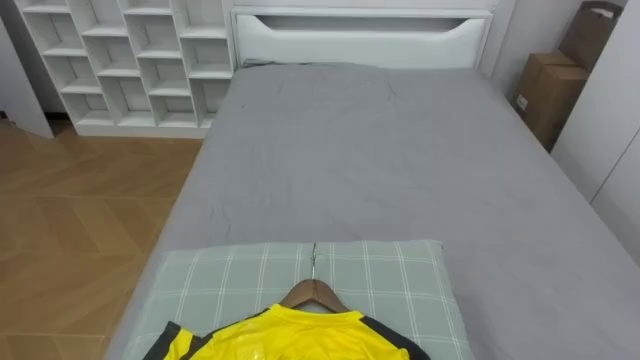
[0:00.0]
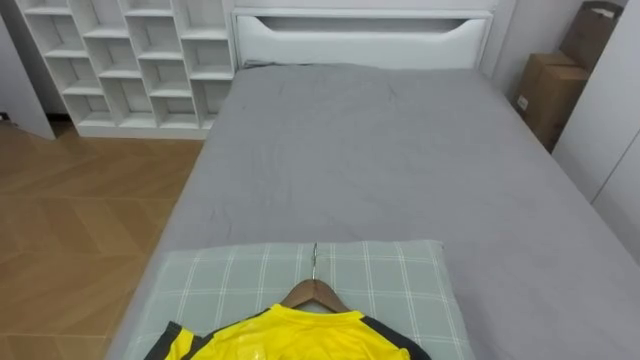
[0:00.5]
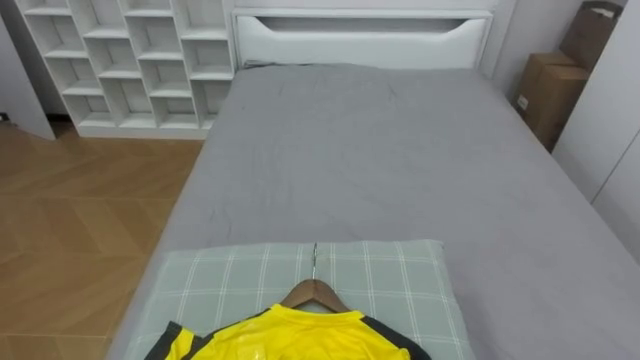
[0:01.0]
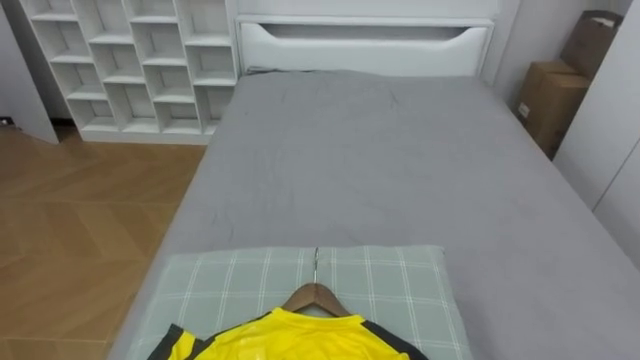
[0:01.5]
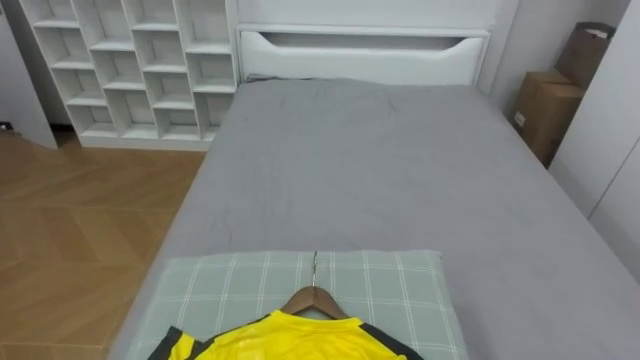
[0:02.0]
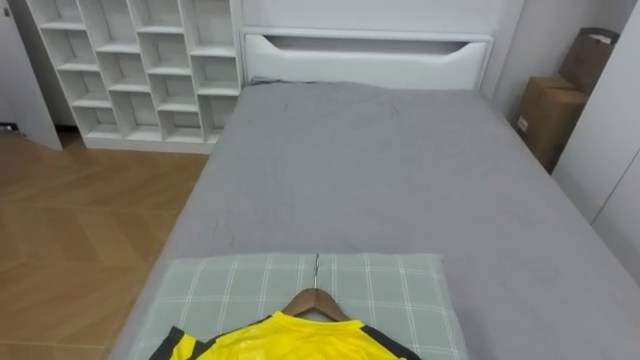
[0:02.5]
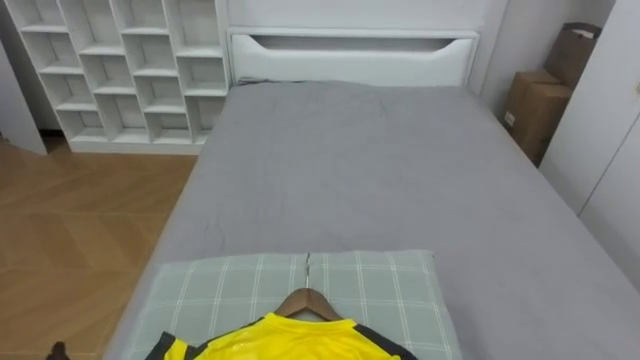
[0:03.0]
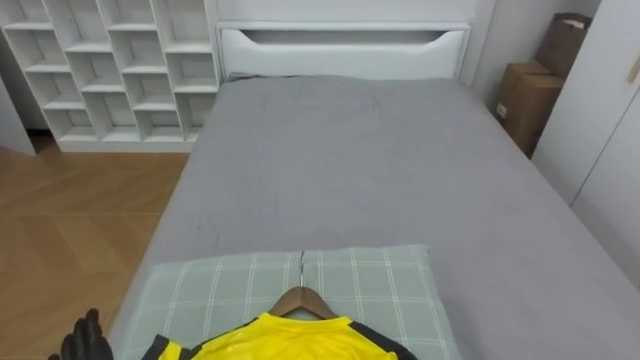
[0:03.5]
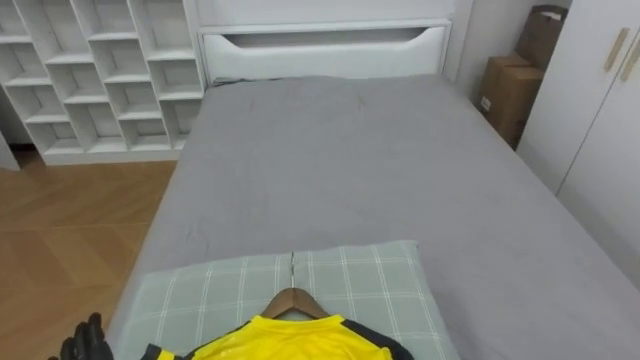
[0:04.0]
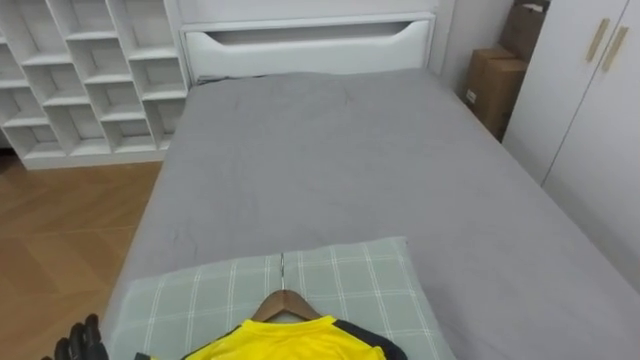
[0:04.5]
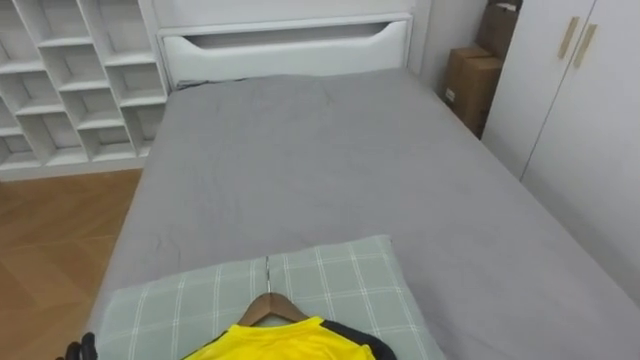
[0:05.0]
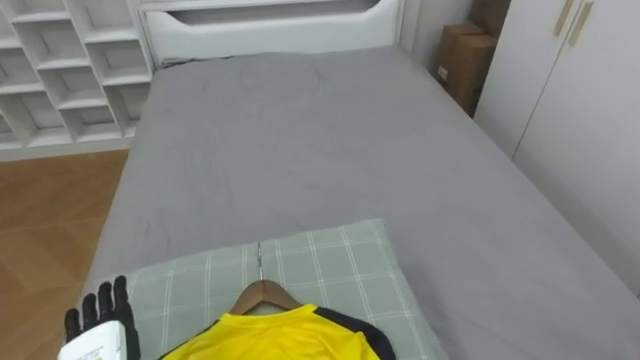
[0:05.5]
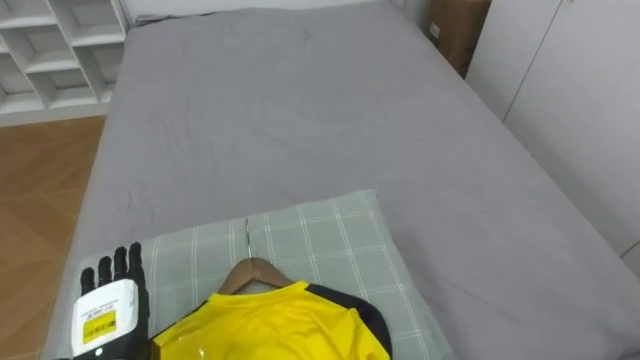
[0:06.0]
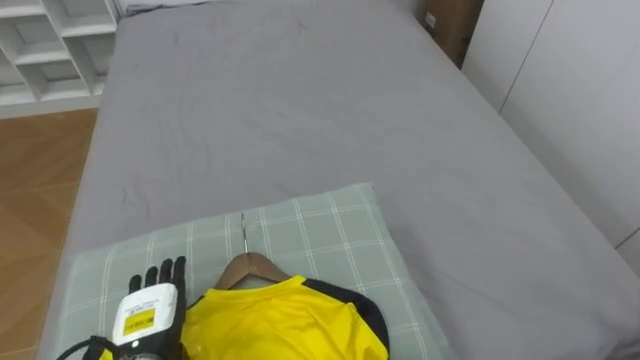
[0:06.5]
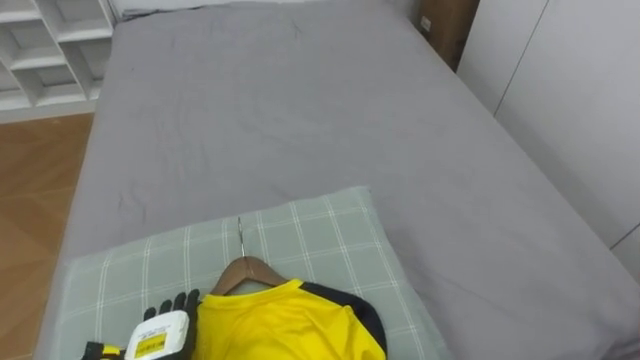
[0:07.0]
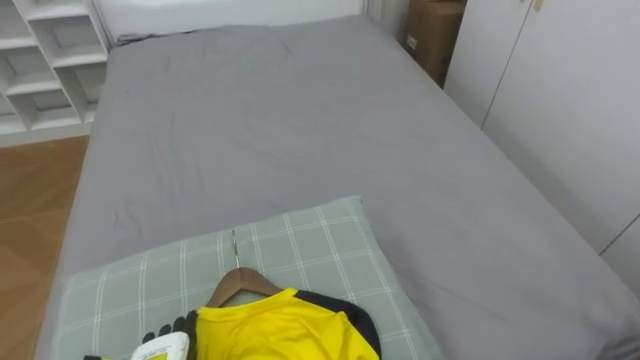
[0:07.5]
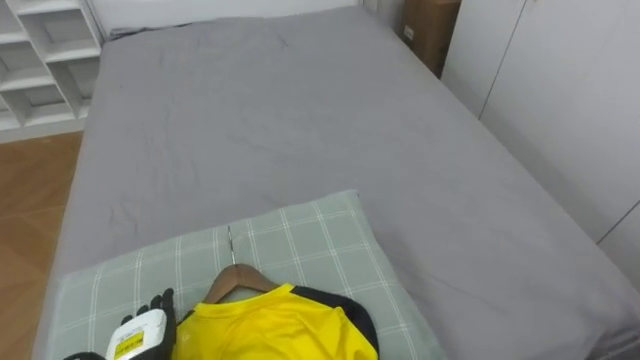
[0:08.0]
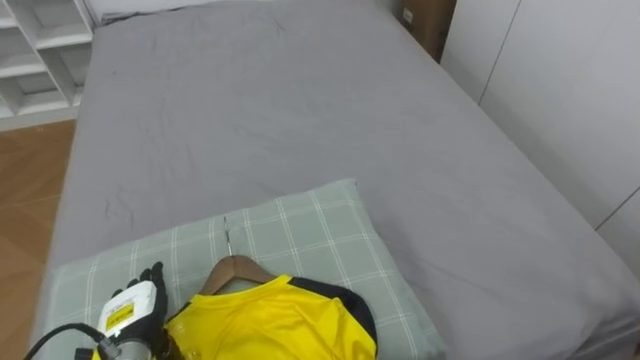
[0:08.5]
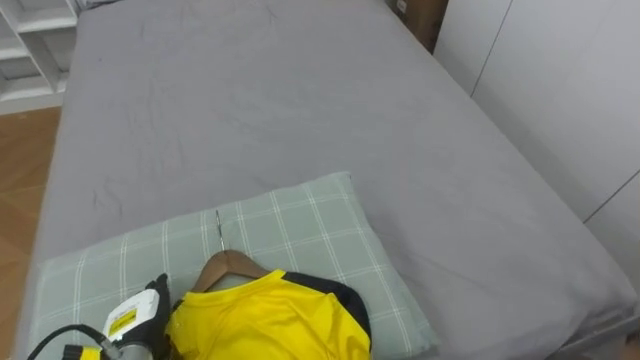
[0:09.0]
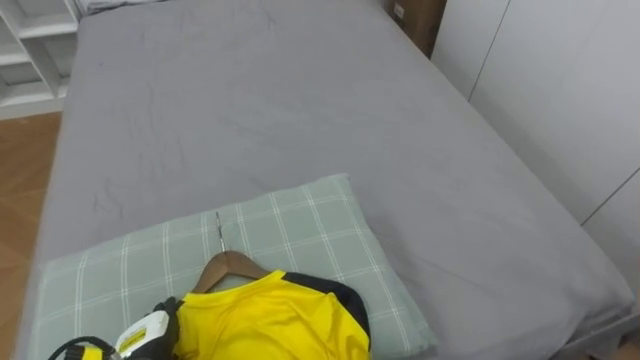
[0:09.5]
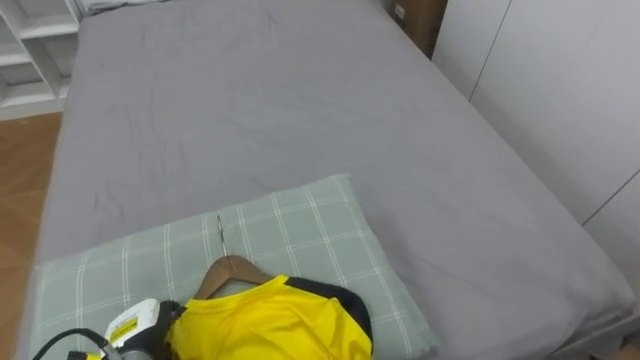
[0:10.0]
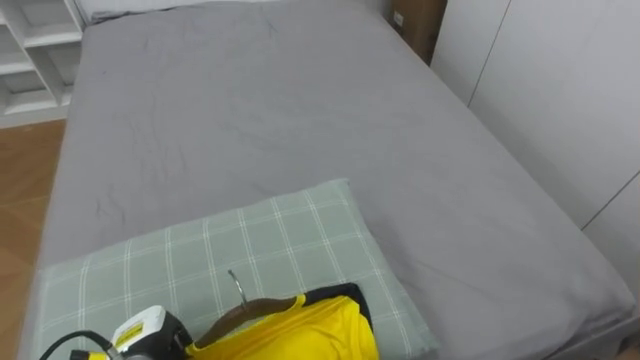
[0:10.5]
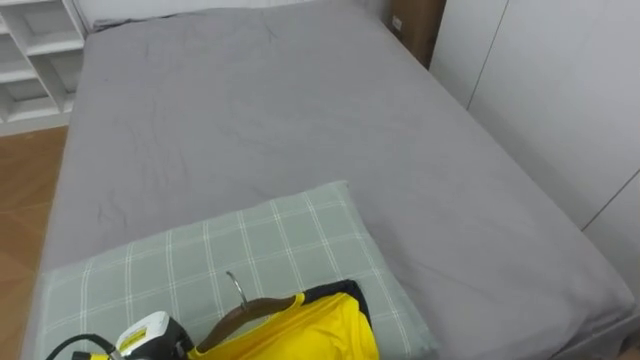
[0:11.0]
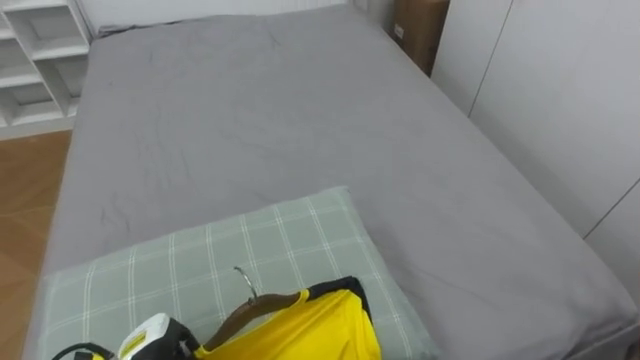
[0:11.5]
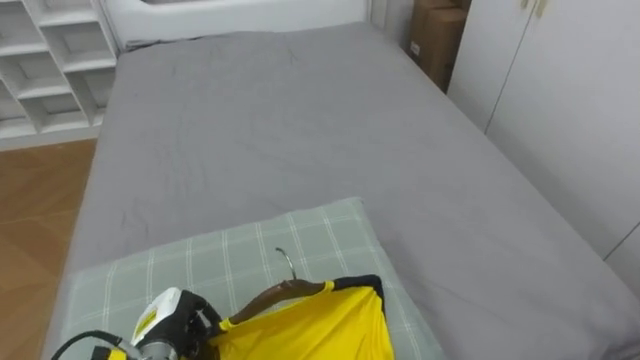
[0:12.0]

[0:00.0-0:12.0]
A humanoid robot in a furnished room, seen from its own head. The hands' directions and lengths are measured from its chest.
Task of the whole recording: Pick up the yellow shirt on the bed and hang it on the clothes rack on the right.
0:06.0 to 0:08.0: The left hand goes approximately 5 cm downward.
0:10.0 to 0:12.0: The left hand closes up.

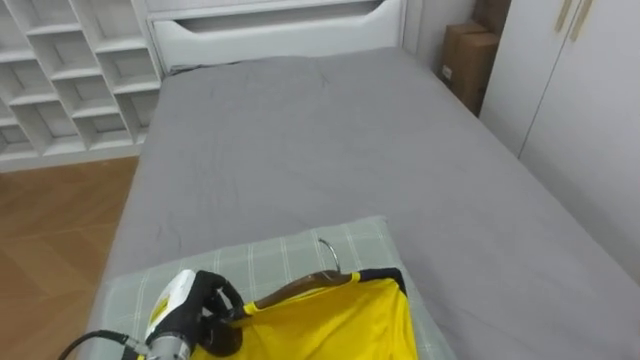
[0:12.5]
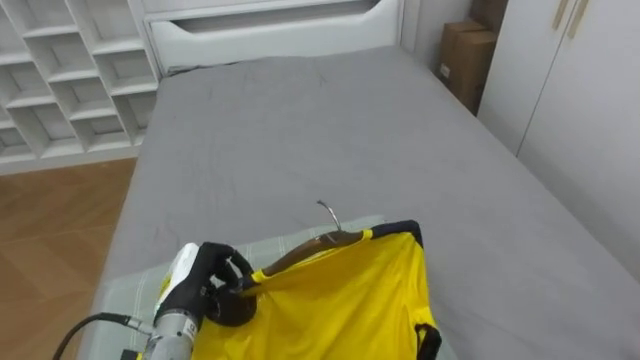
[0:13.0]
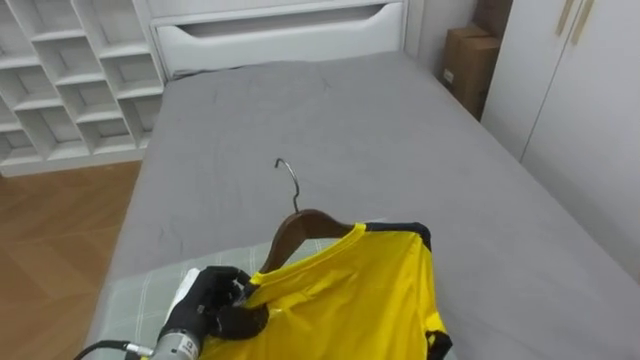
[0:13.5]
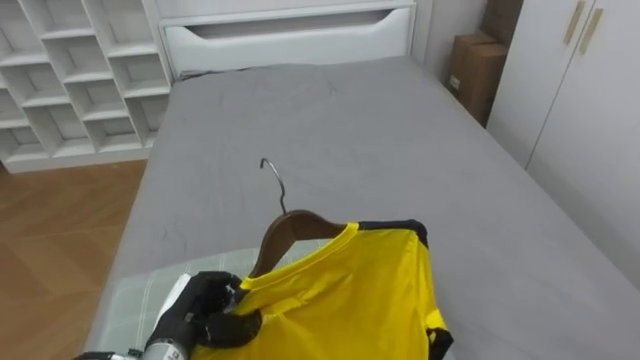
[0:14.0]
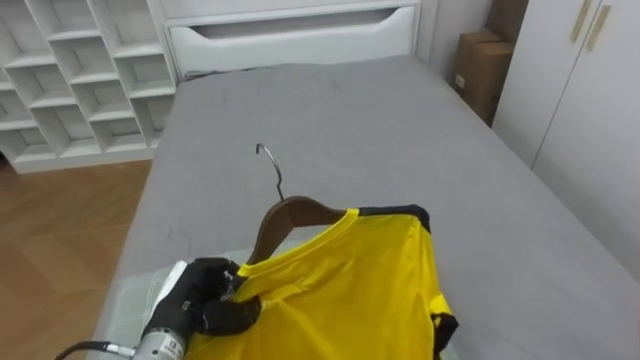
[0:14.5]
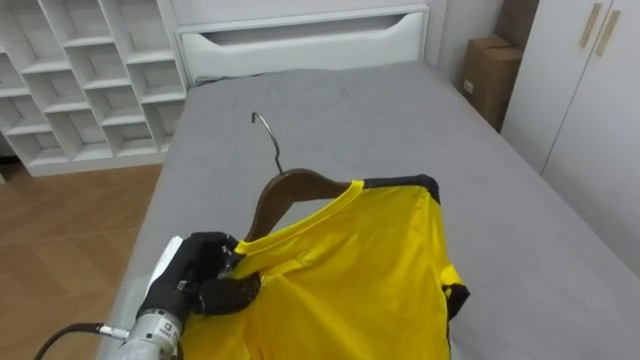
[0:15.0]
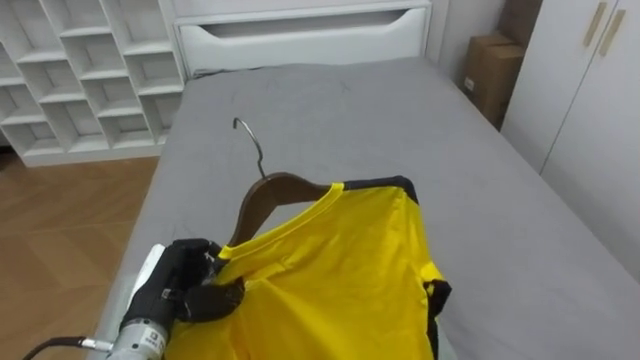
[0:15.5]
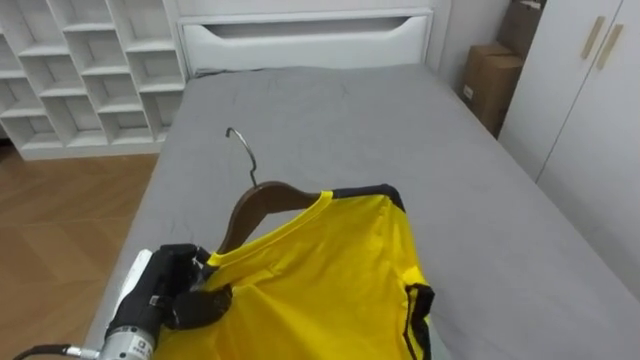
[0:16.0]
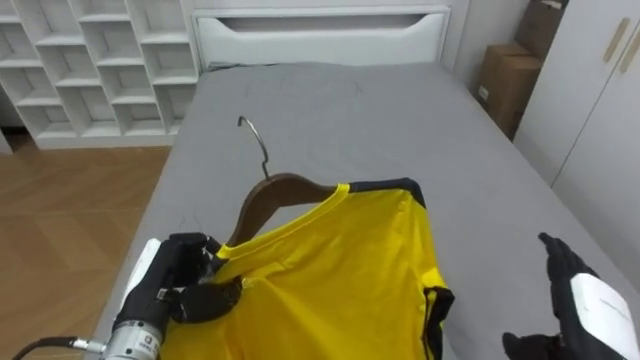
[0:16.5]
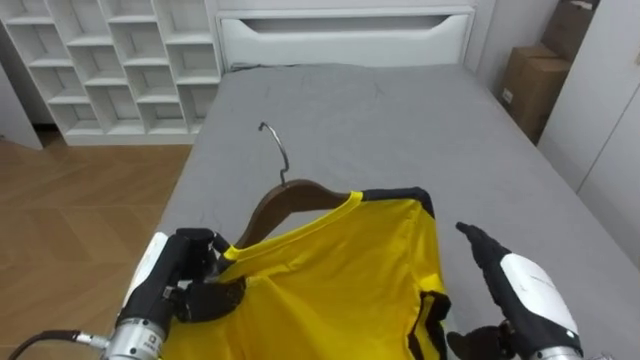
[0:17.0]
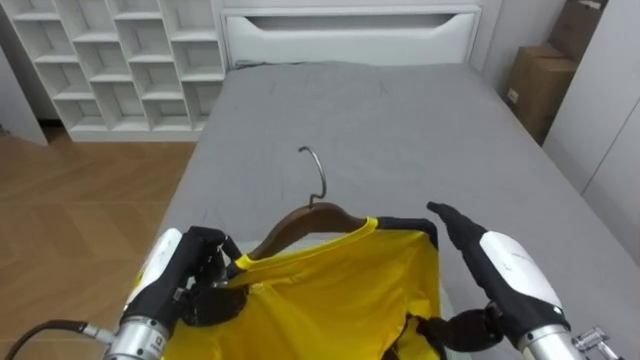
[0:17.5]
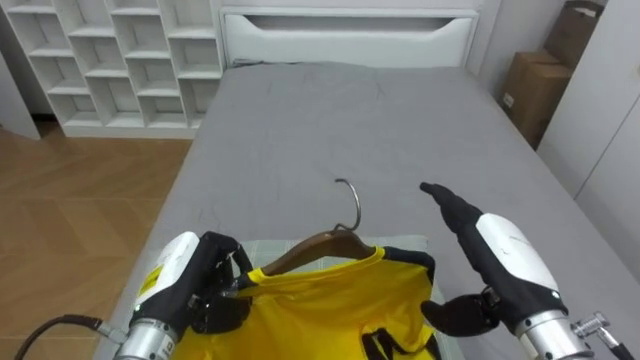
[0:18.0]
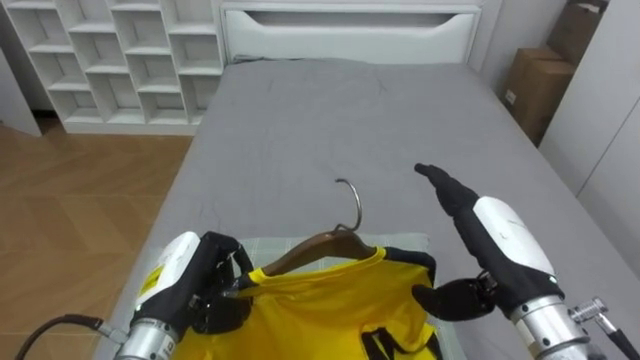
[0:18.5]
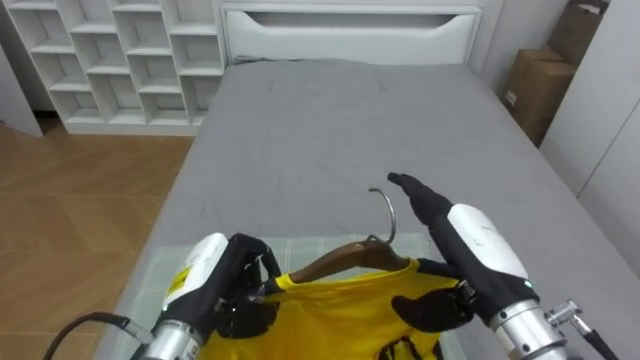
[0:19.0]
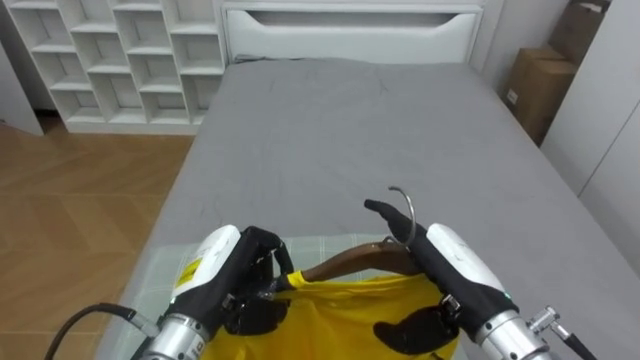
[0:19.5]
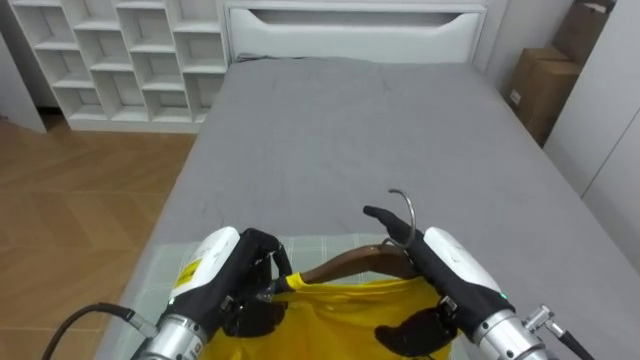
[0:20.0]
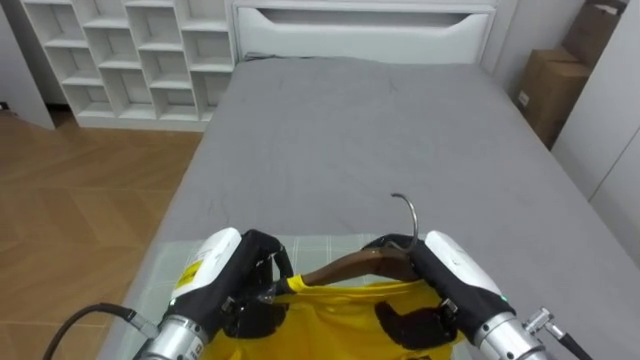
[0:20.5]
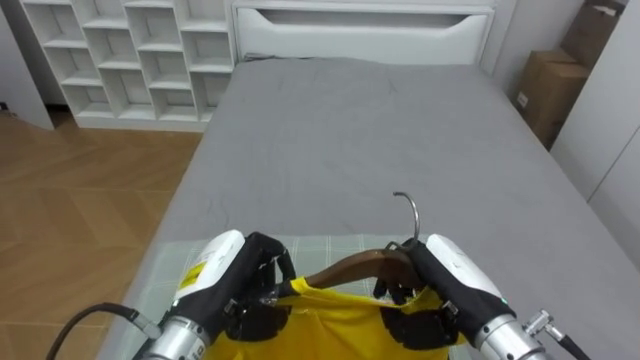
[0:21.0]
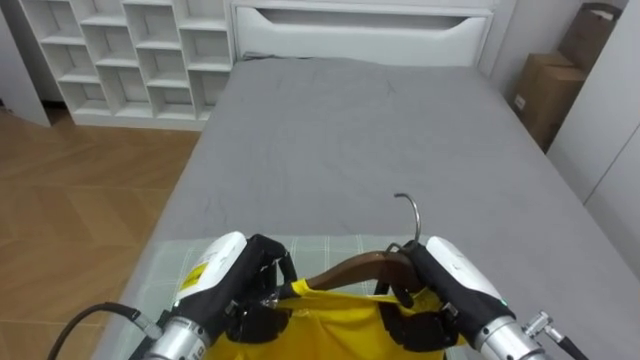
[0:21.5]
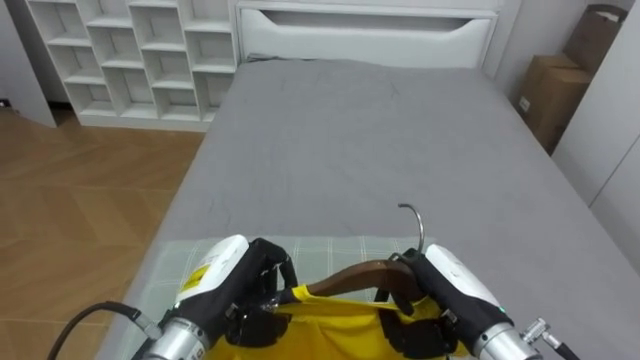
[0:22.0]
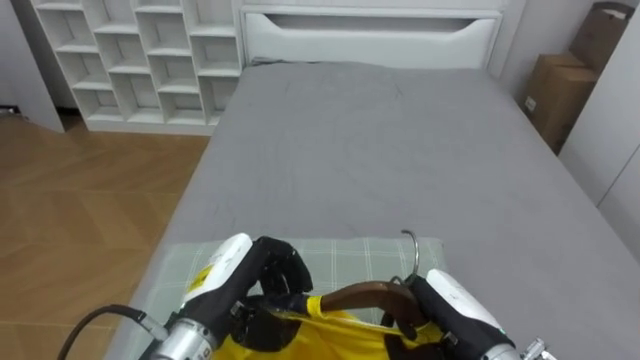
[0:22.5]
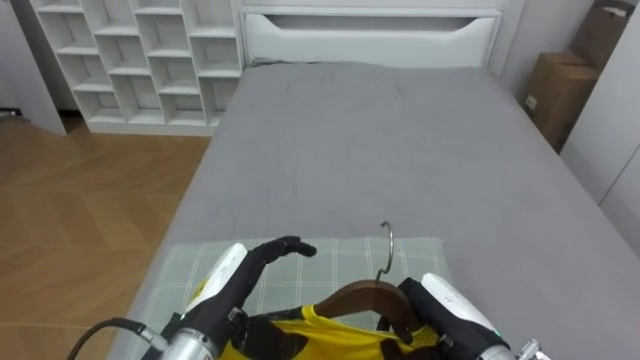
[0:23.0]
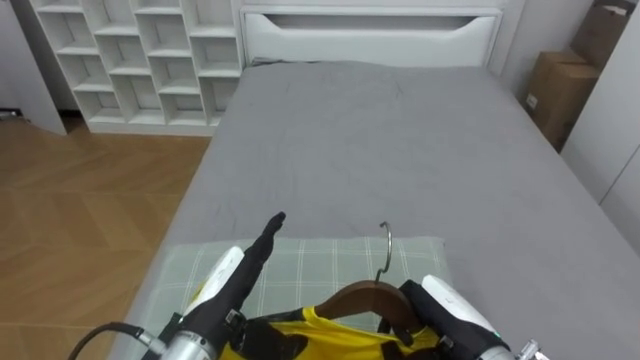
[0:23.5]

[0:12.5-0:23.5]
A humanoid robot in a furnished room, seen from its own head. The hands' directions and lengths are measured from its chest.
Task of the whole recording: Pick up the yellow shirt on the bed and hang it on the clothes rack on the right.
0:16.0 to 0:18.0: The left hand moves some 5 cm.
0:18.0 to 0:20.0: The right hand moves to the left, some 5 cm.
0:20.0 to 0:21.5: The right hand closes.
0:21.5 to 0:23.5: The left hand opens. Meanwhile the right hand moves roughly 5 cm.
